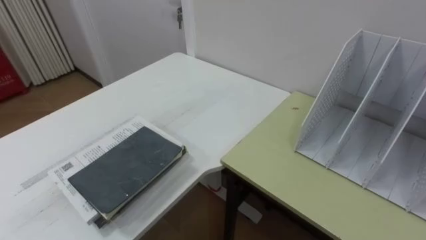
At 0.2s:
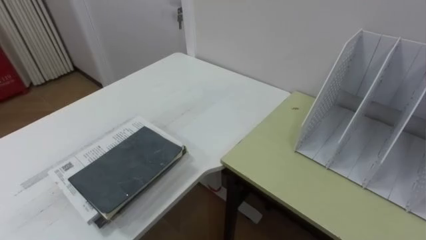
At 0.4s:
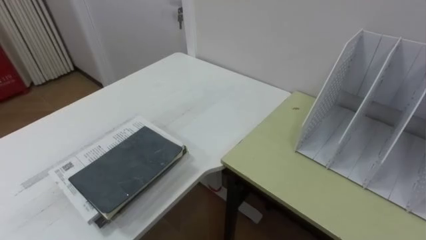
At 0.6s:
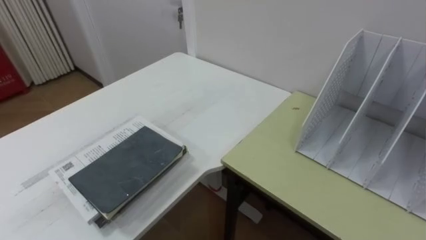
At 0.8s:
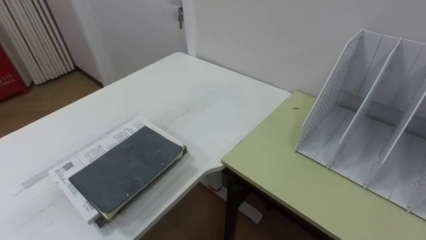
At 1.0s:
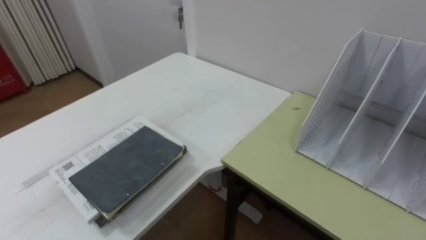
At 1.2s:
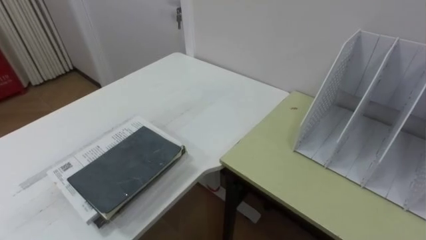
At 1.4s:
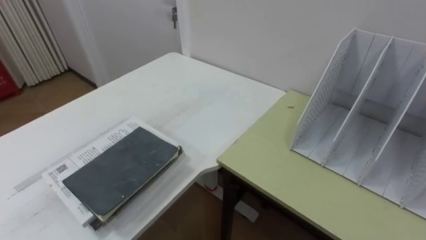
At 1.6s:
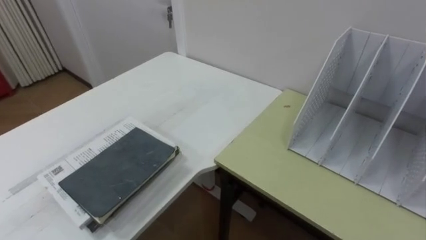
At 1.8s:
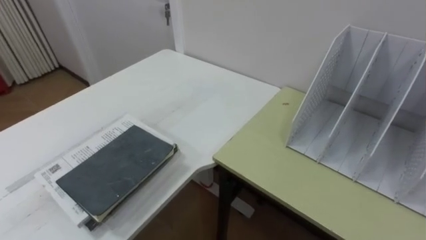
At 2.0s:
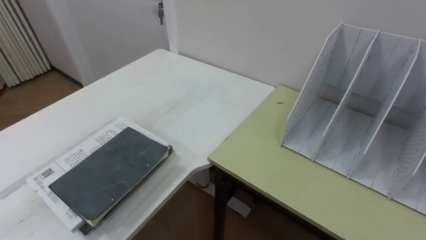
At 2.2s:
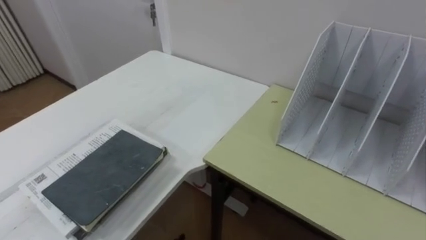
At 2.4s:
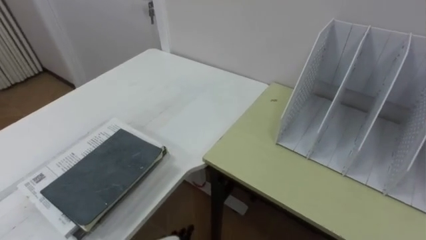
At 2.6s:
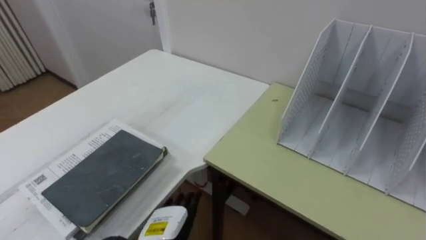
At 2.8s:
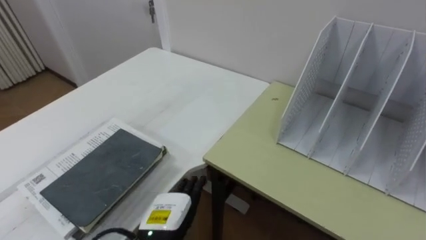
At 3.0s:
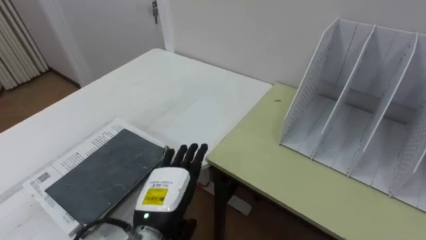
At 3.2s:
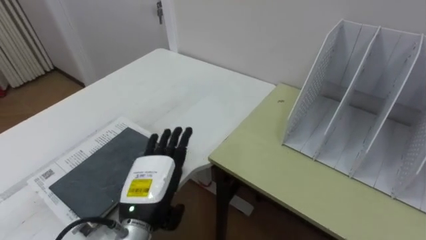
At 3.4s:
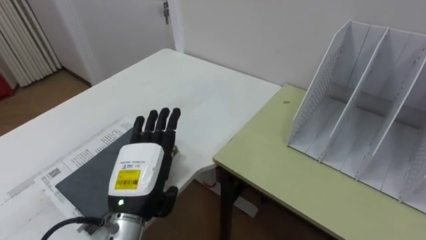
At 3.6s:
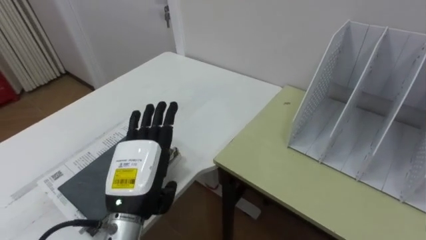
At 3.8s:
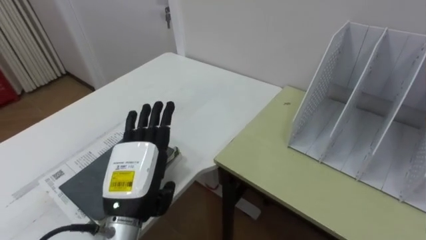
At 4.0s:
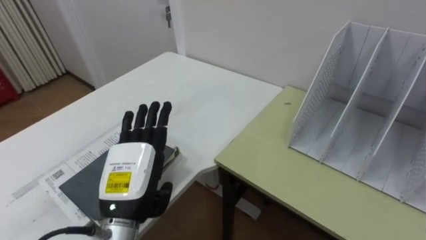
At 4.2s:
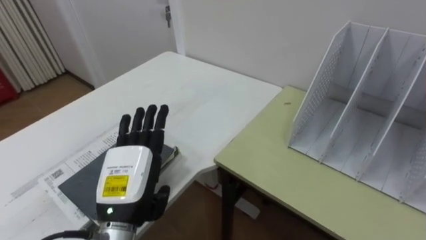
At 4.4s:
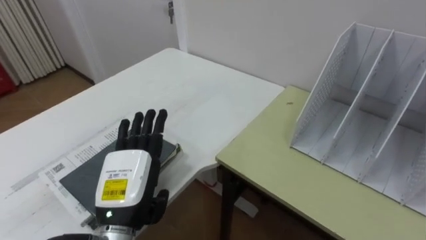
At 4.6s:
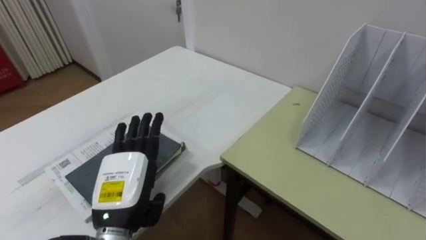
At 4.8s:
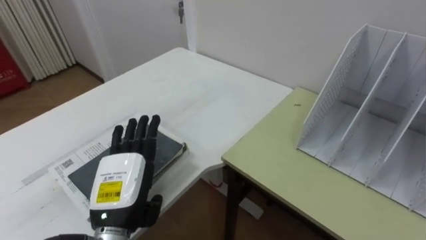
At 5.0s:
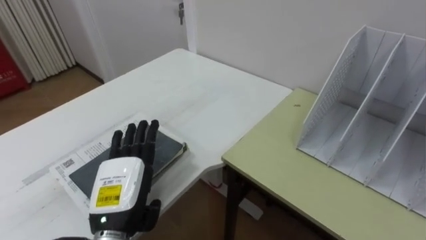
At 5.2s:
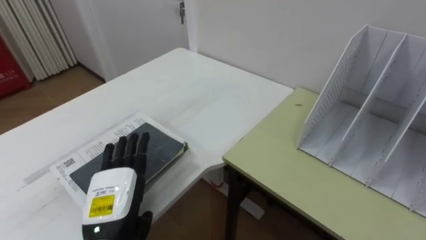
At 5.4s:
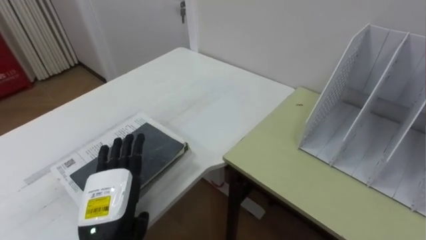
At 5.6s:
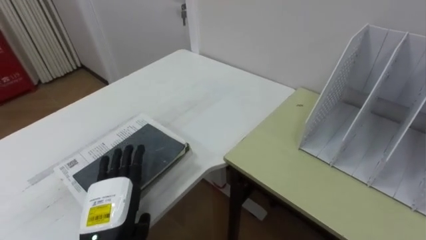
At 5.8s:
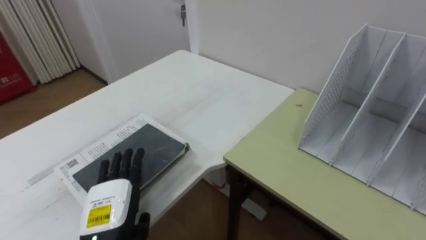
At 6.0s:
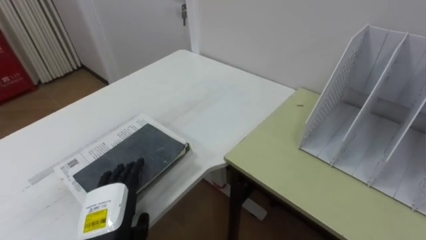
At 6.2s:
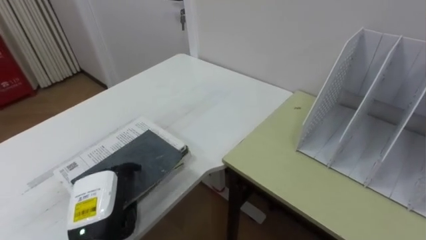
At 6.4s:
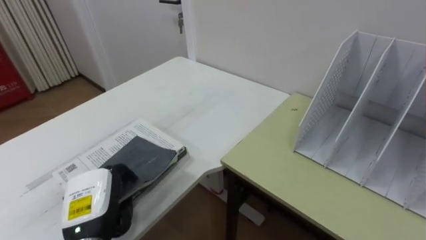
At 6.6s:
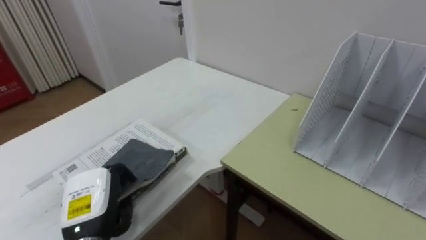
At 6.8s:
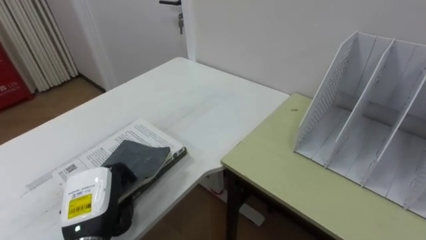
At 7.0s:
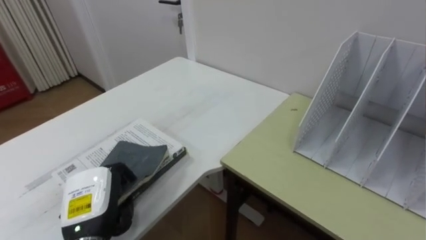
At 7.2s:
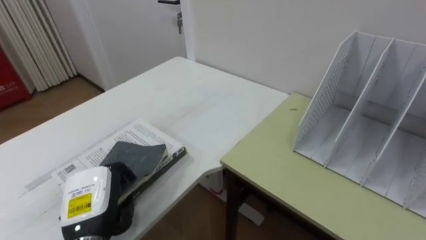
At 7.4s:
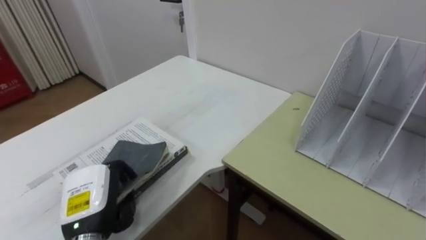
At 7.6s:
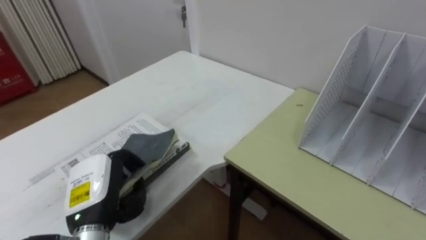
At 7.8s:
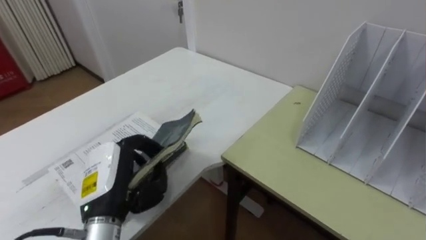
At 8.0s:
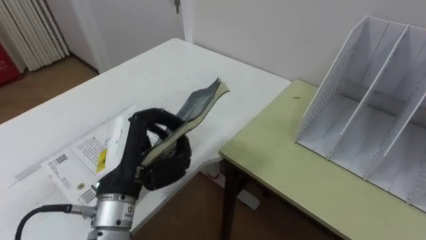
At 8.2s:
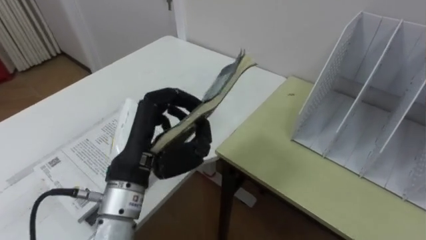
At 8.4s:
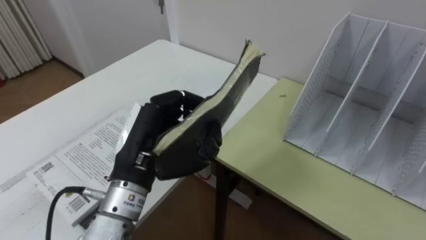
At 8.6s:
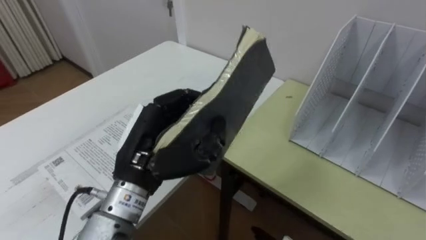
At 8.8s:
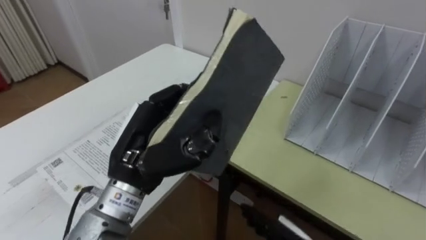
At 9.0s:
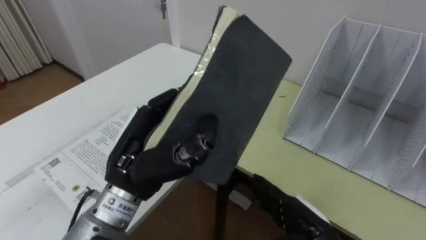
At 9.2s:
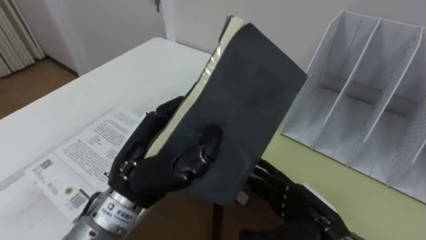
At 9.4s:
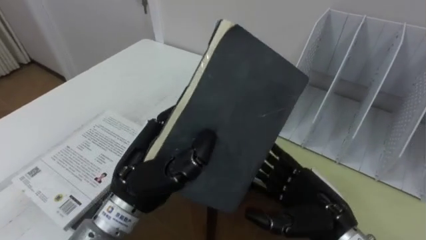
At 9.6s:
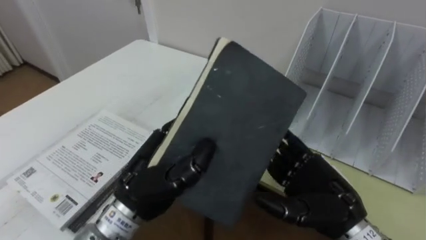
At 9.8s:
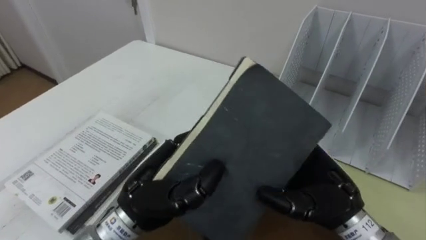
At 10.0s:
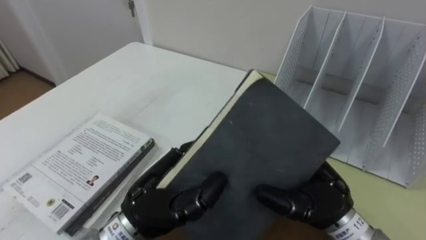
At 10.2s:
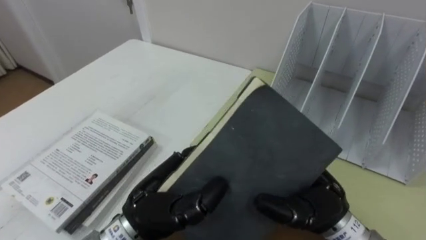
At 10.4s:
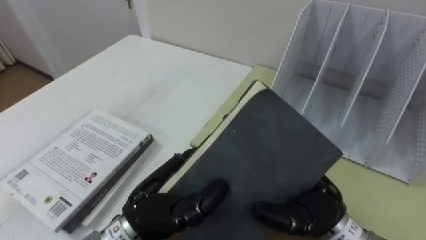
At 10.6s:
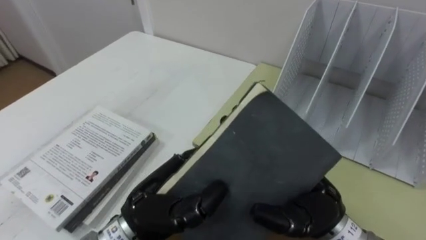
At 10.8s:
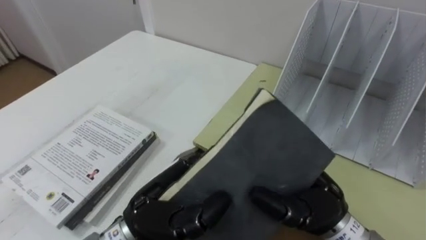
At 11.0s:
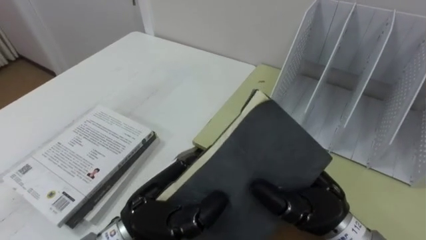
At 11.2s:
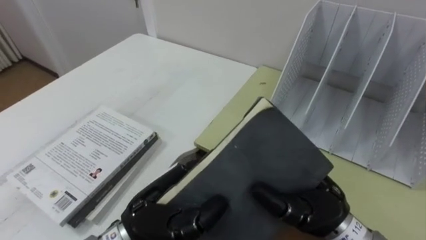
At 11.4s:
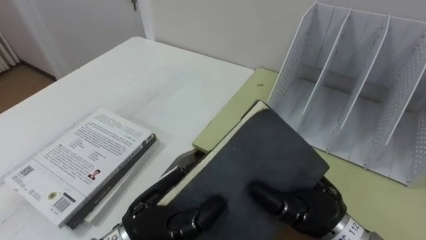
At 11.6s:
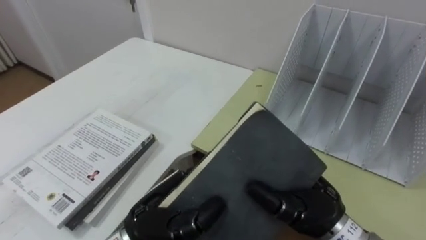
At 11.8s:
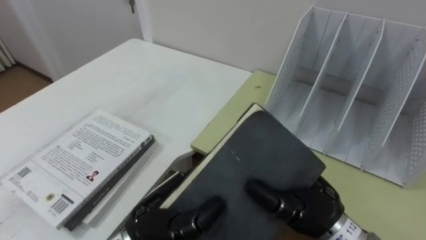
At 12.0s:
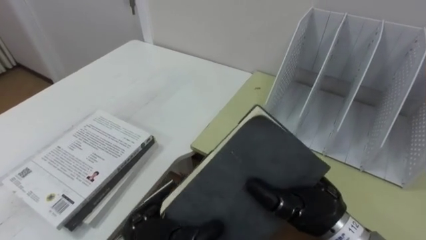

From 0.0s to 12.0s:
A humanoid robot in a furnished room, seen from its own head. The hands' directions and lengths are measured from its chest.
Task of the whole recording: Put the books on the table onto the bookshelf.
From 3.0s to 4.4s: The left hand shifts roughly 5 cm upward and to the left.
From 4.4s to 6.0s: The left hand travels downward by some 5 cm.
From 6.0s to 7.6s: The left hand shifts by roughly 5 cm, and closes its fingers.
From 7.6s to 9.0s: The left hand is displaced upward and to the right by roughly 15 cm.
From 9.0s to 10.4s: The left hand goes approximately 5 cm downward; the right hand shifts about 15 cm upward.
From 10.4s to 12.0s: The right hand closes its fingers.

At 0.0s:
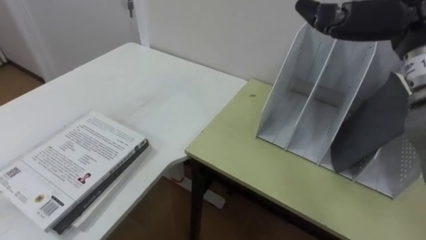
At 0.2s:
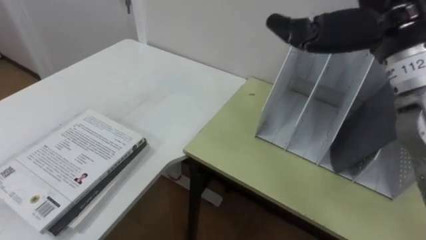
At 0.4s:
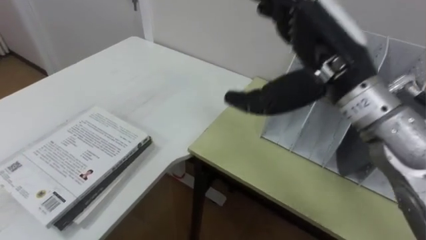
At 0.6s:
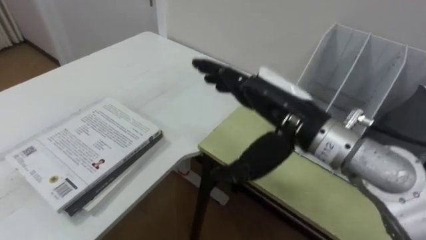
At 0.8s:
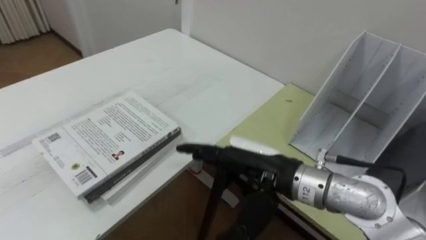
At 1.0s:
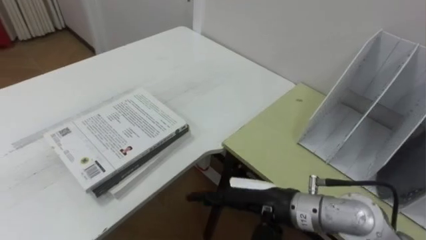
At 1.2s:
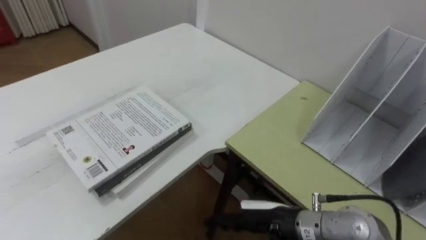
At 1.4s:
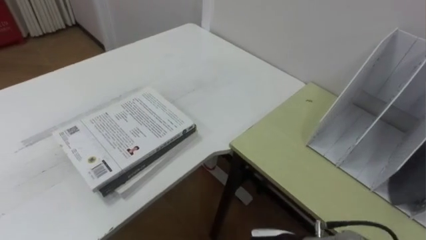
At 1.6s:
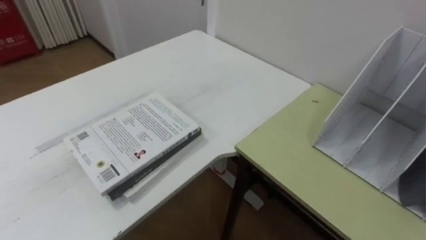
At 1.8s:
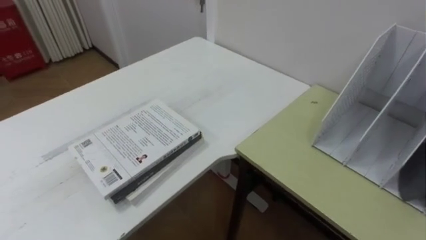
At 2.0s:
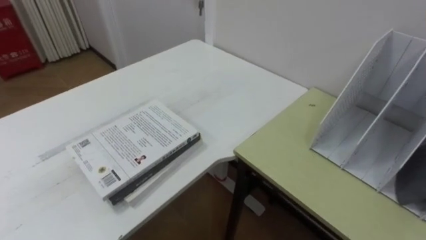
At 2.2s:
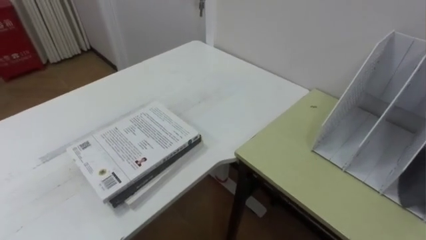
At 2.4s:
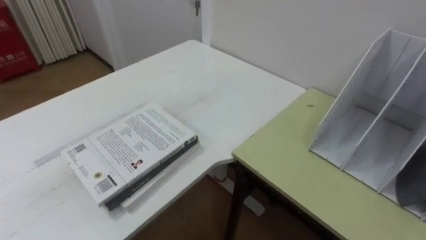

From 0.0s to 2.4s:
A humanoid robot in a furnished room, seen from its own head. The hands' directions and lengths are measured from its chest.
Task of the whole recording: Put the books on the table onto the bookshelf.
From 0.0s to 1.2s: The right hand goes some 35 cm downward and to the left.

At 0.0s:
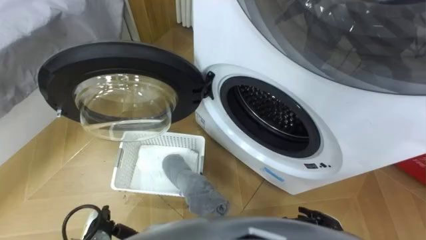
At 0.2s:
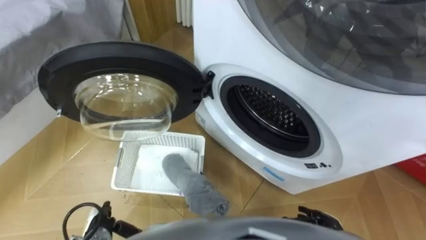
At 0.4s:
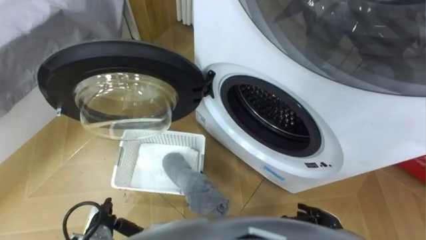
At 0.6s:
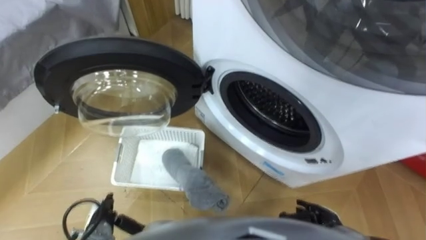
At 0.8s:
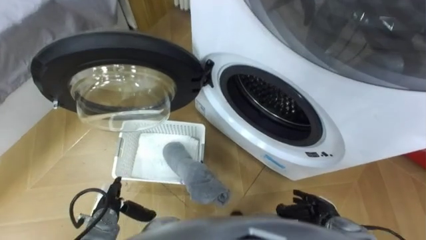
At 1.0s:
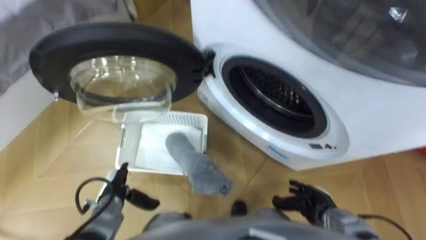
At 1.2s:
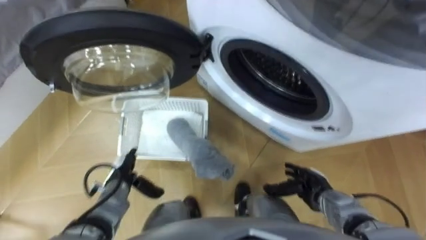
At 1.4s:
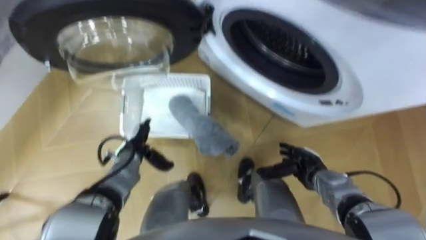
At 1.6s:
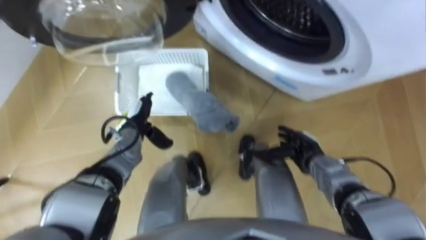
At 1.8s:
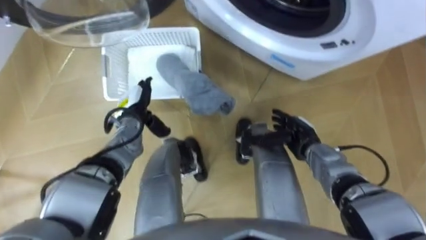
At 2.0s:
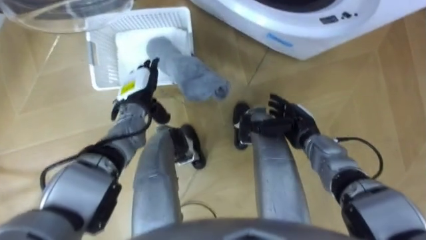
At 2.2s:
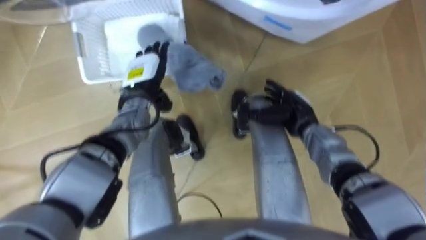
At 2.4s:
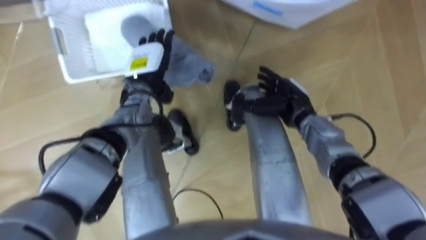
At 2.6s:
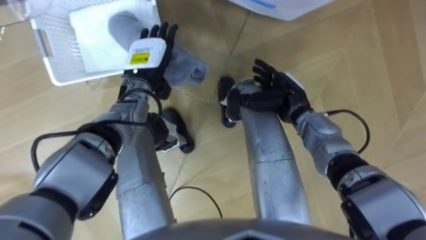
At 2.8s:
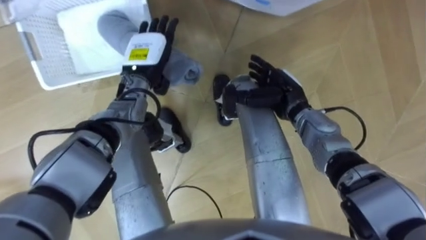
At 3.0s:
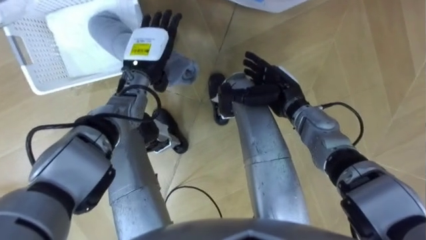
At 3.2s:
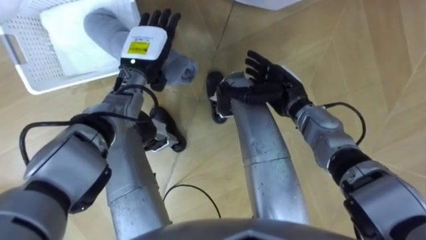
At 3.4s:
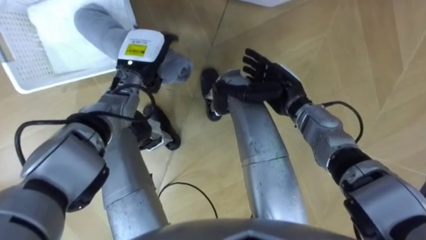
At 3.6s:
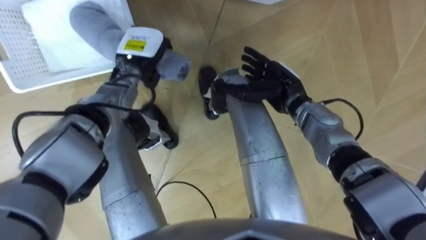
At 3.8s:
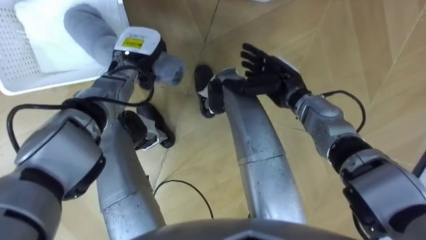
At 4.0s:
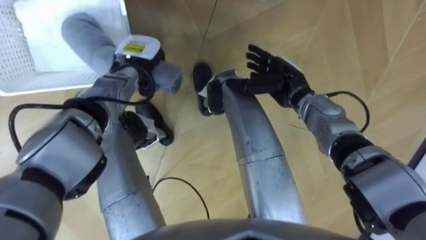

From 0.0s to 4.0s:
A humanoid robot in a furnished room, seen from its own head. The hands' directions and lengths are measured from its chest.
Task of the whole recording: Take the towel from the basket and put it into the washing machine.
From 1.4s to 2.6s: The left hand goes some 20 cm upward and forward; the right hand heads forward, upward and to the left, covering approximately 20 cm.
From 2.6s to 4.0s: The left hand closes up.
